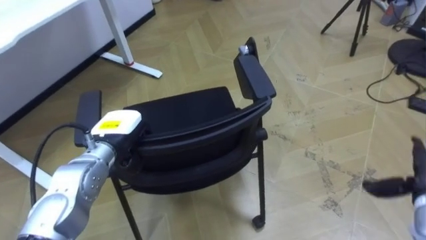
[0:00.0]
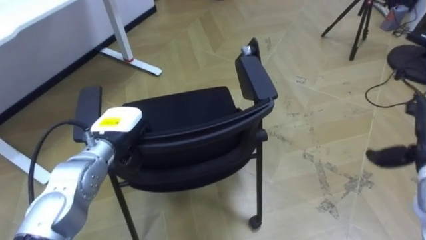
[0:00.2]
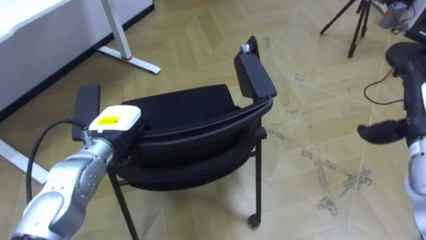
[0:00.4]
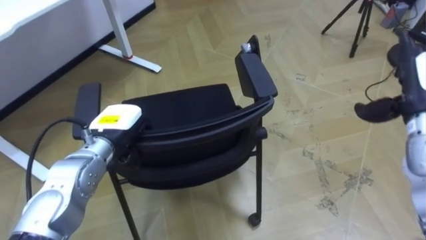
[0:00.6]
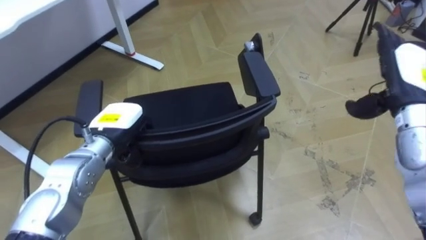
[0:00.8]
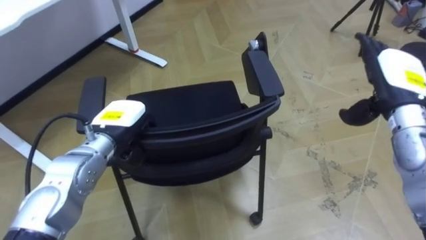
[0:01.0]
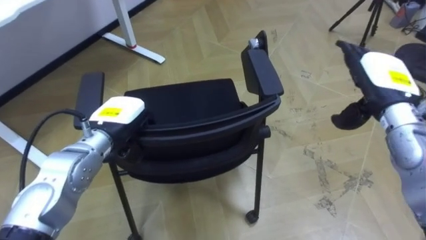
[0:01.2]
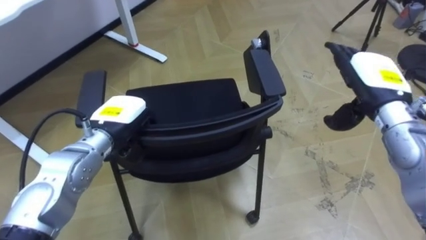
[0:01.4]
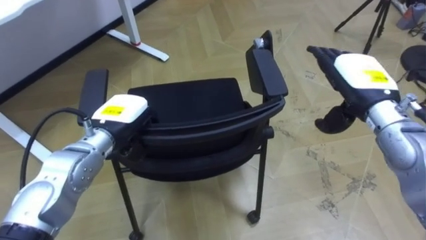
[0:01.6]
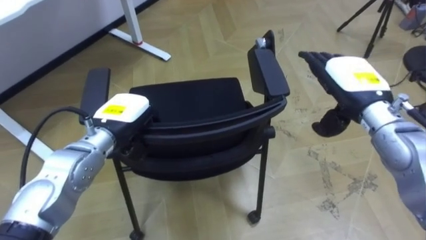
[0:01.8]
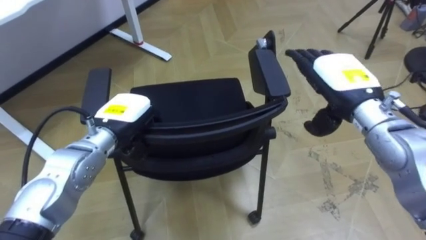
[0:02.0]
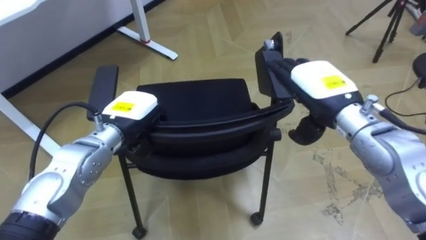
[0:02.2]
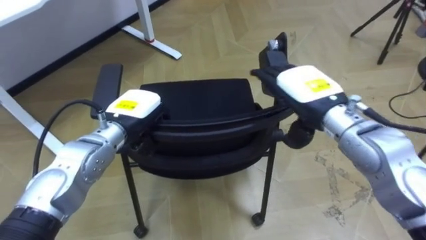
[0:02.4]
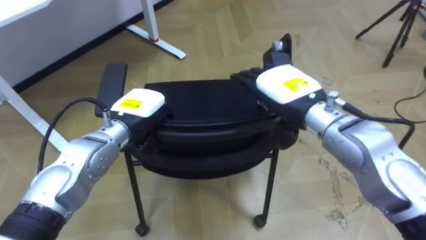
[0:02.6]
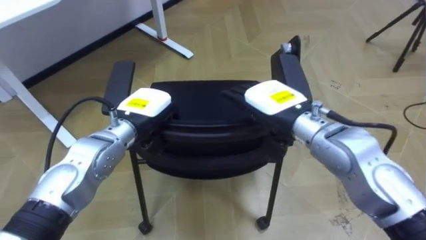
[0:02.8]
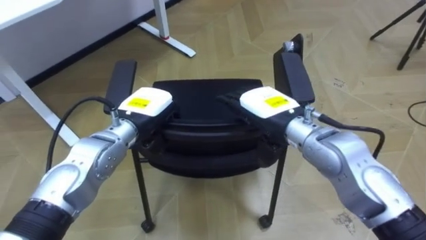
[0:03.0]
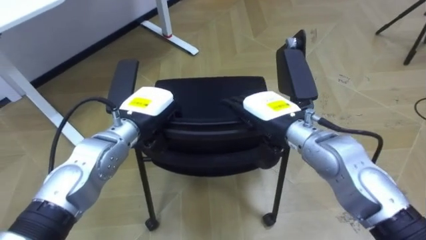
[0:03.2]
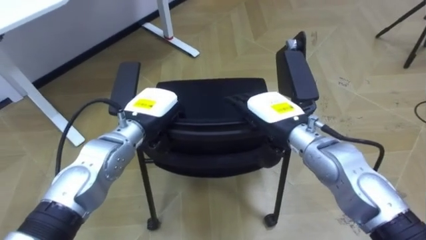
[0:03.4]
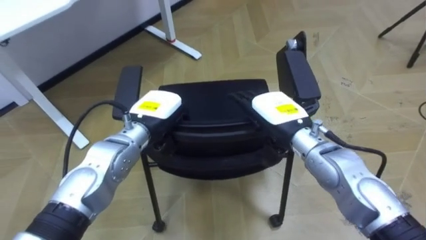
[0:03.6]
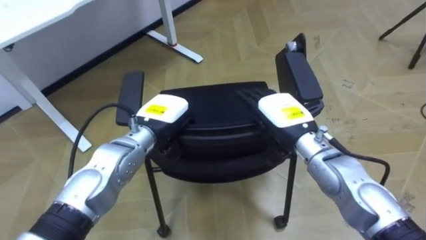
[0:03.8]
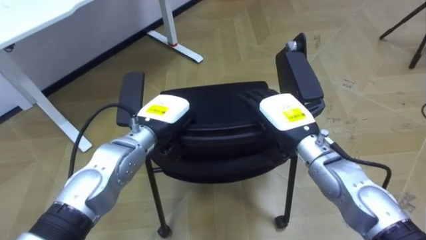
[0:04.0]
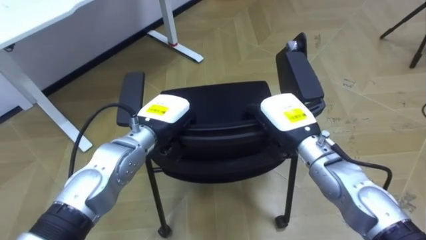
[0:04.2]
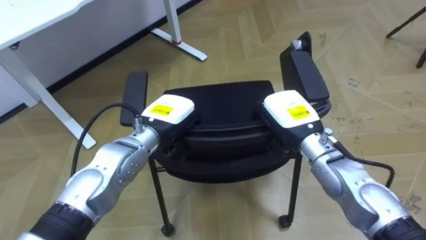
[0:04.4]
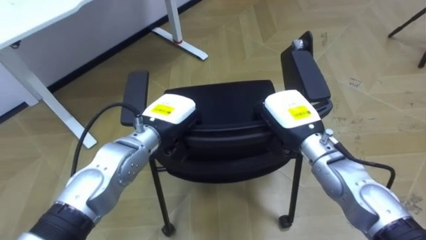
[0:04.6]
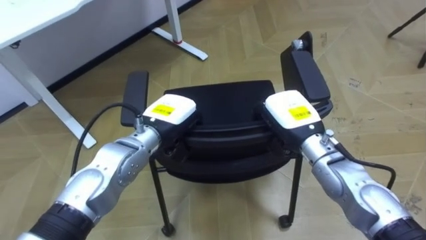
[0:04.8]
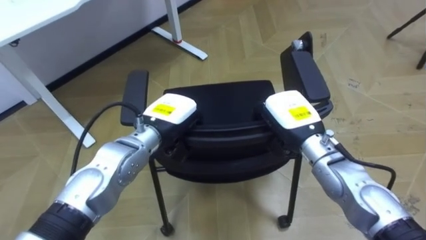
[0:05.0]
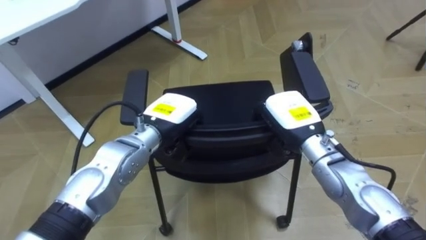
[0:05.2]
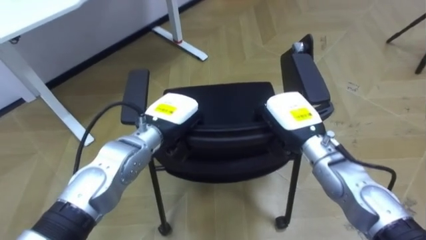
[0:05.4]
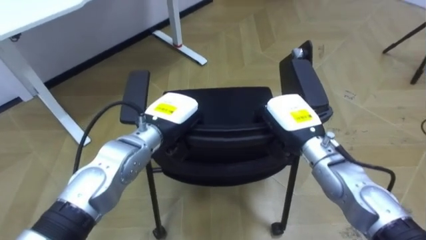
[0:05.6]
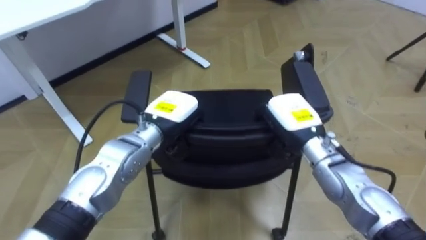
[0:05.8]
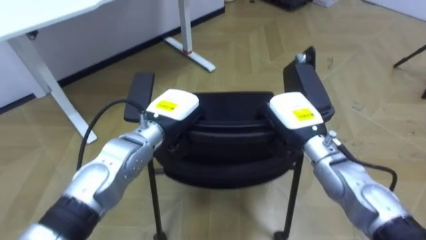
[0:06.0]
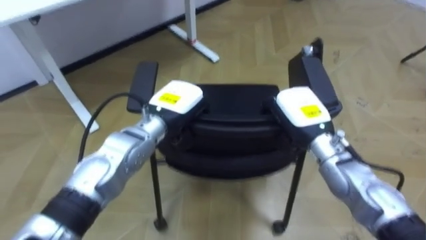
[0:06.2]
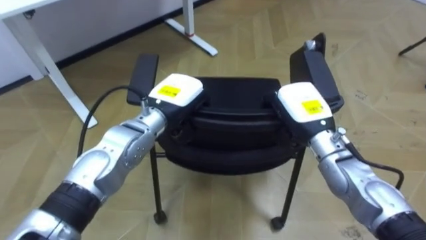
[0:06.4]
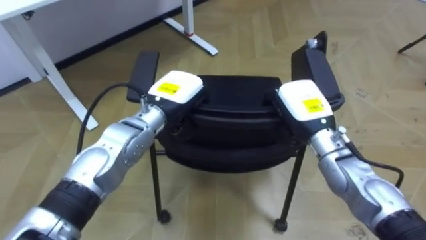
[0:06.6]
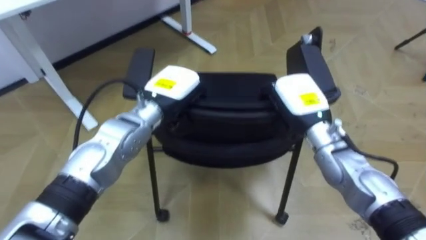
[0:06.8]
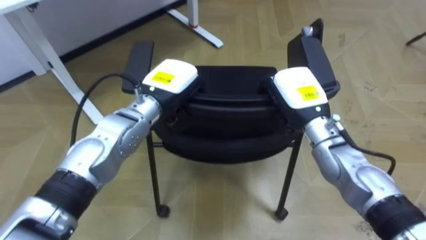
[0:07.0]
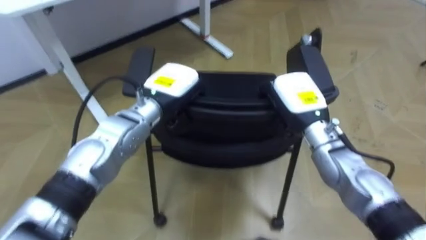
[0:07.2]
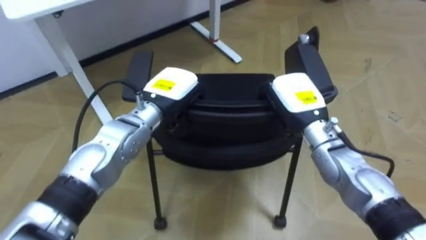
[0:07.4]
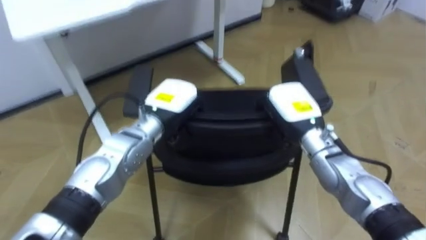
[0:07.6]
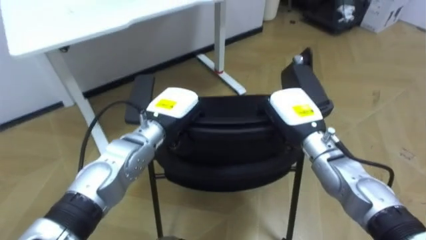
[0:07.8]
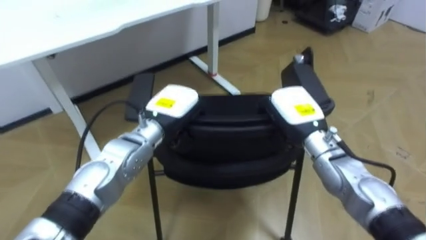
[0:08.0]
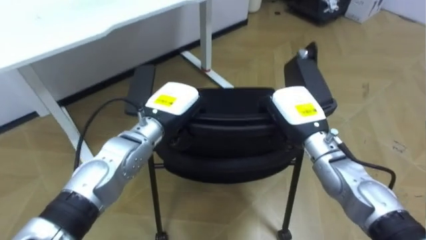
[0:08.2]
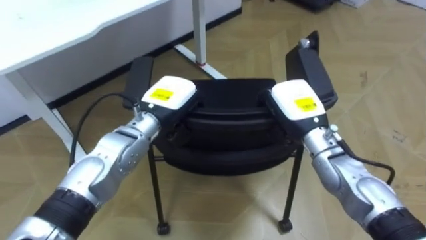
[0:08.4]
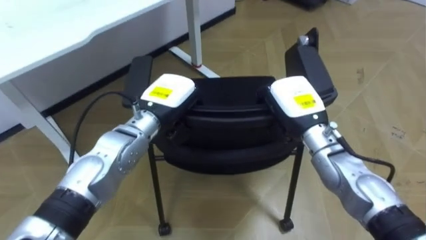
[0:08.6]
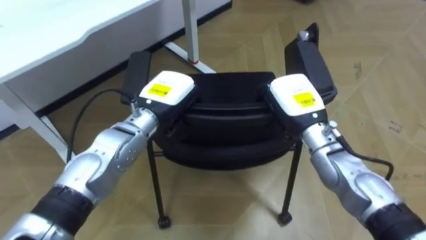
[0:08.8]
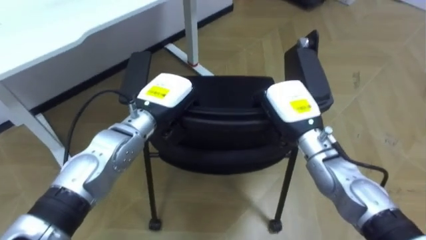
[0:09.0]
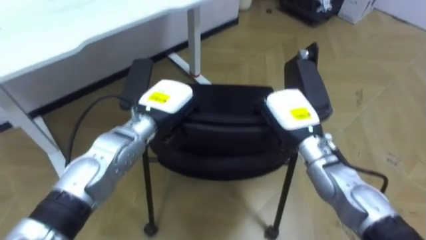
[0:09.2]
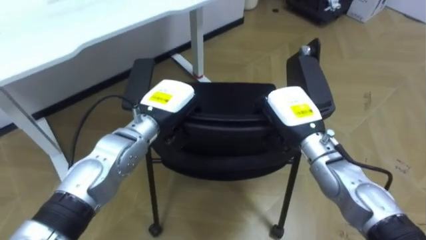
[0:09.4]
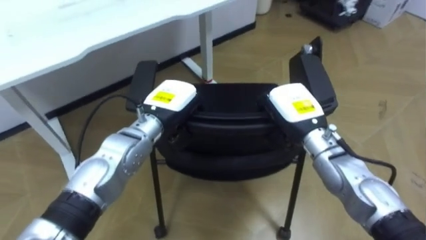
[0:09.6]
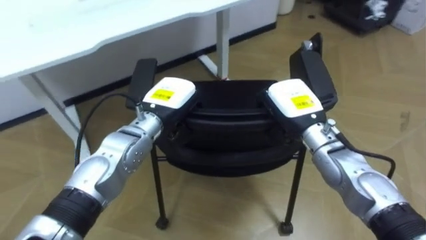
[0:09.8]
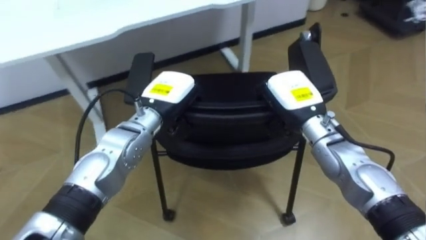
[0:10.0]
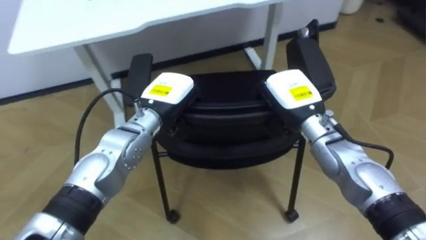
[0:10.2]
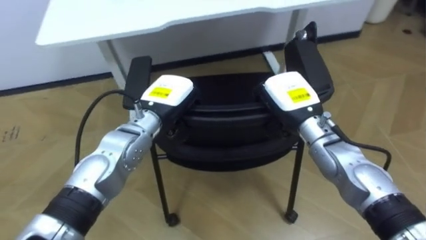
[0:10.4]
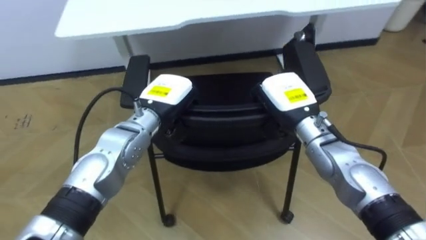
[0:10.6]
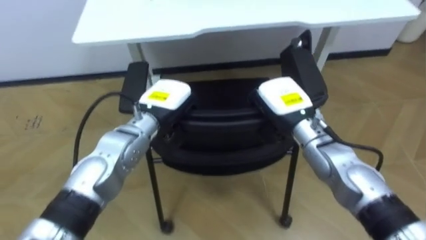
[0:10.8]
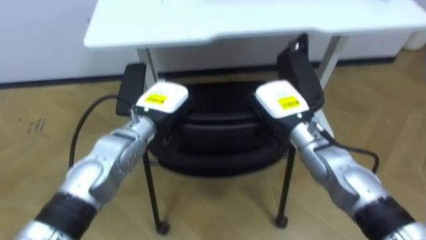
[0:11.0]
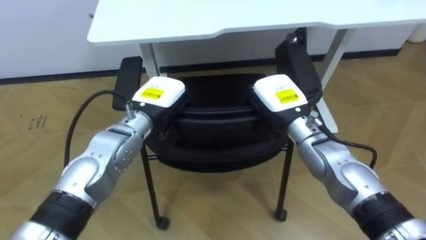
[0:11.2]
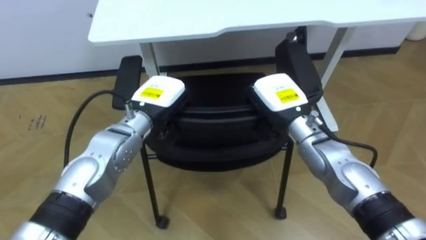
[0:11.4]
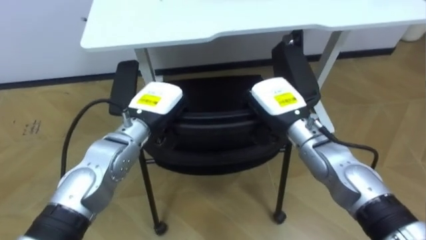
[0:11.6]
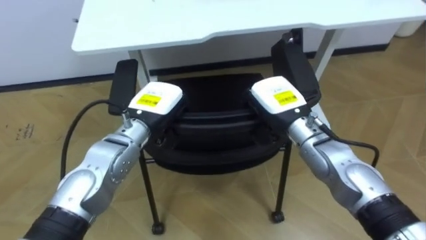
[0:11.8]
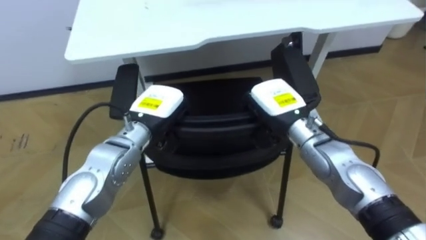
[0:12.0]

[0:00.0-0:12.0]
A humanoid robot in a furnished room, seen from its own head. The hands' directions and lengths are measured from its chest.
Task of the whole recording: Push the chair under the table.
0:01.6 to 0:03.0: The right hand travels to the left by roughly 15 cm.
0:03.0 to 0:04.4: The right hand shifts by some 5 cm, and closes its fingers.
0:09.0 to 0:10.4: The robot rotates roughly 30 degrees to its left.

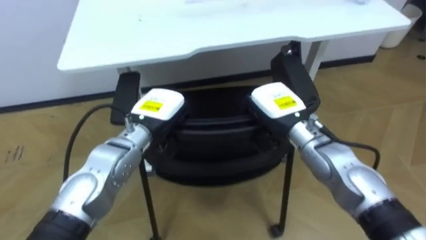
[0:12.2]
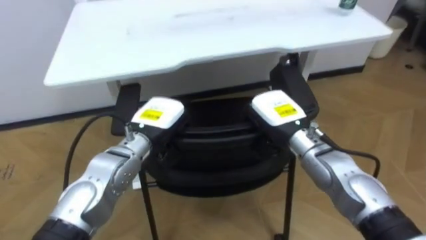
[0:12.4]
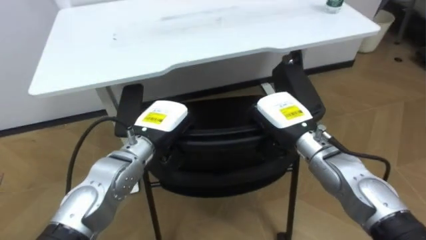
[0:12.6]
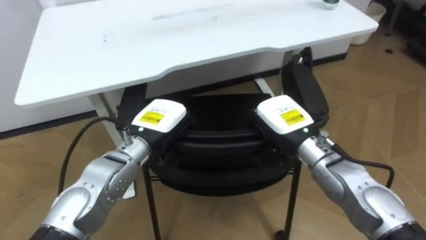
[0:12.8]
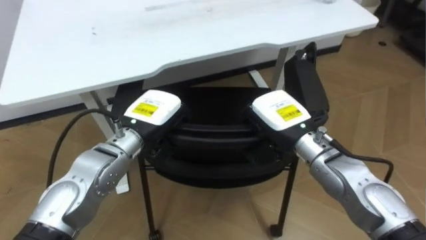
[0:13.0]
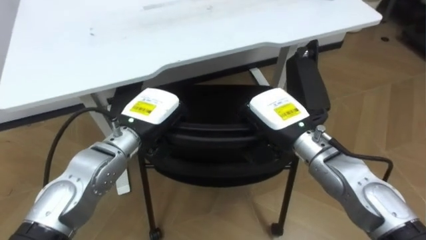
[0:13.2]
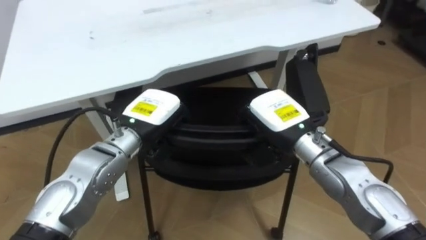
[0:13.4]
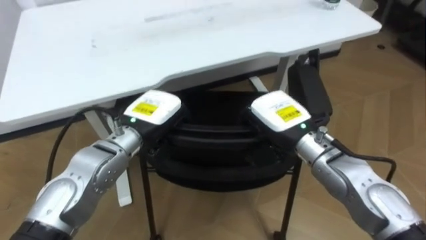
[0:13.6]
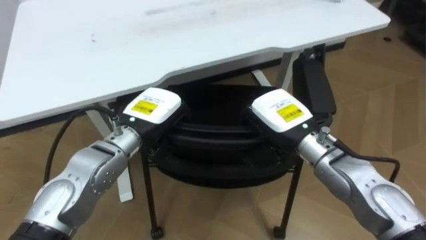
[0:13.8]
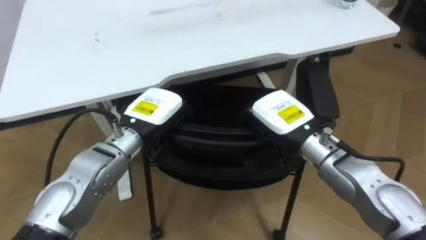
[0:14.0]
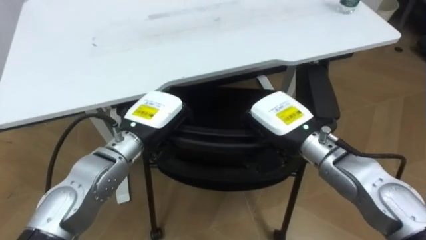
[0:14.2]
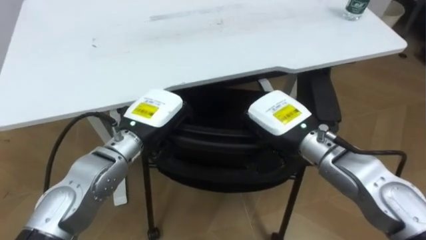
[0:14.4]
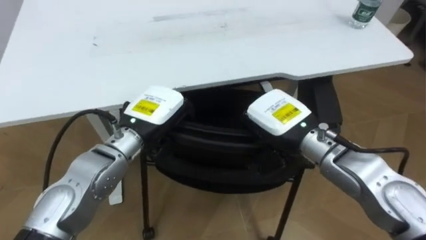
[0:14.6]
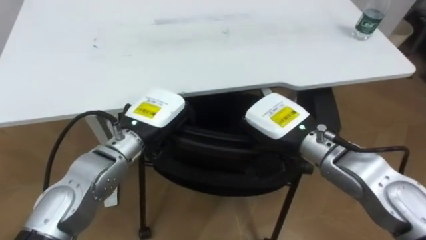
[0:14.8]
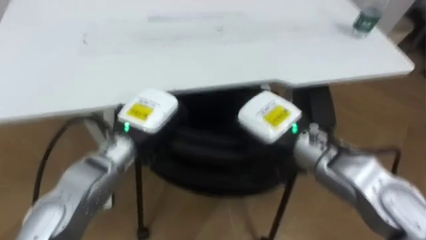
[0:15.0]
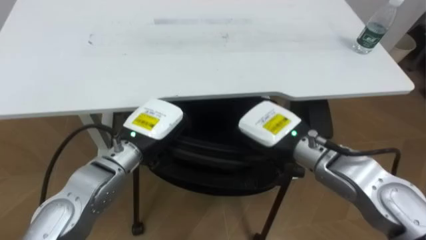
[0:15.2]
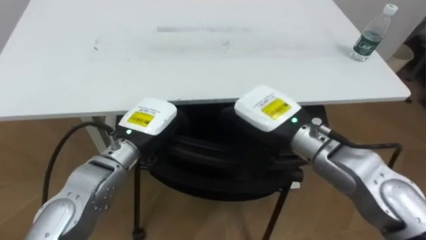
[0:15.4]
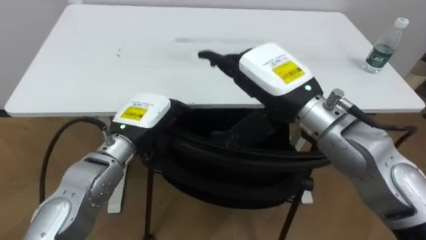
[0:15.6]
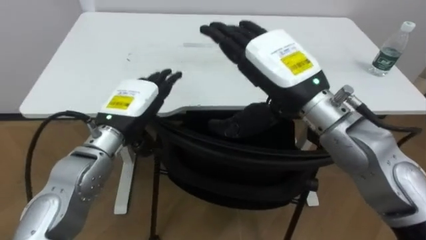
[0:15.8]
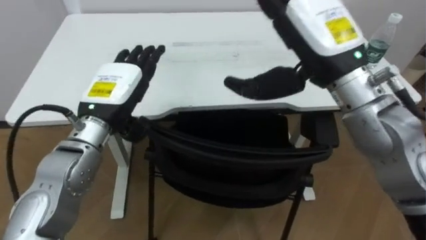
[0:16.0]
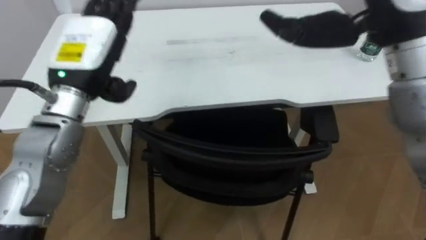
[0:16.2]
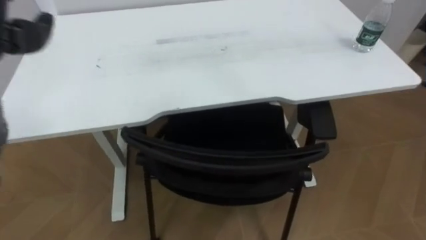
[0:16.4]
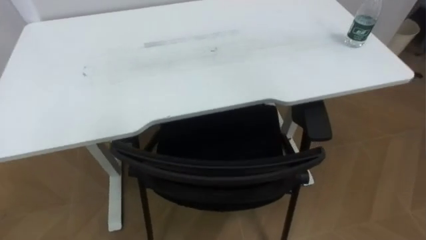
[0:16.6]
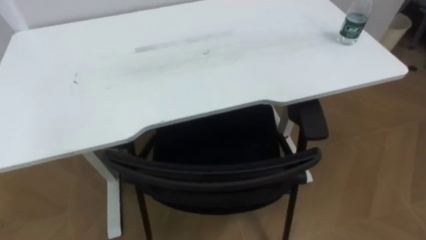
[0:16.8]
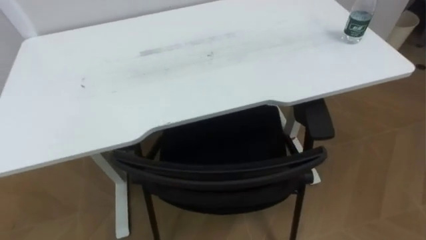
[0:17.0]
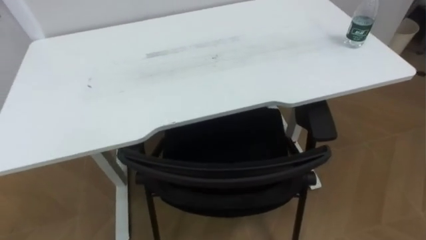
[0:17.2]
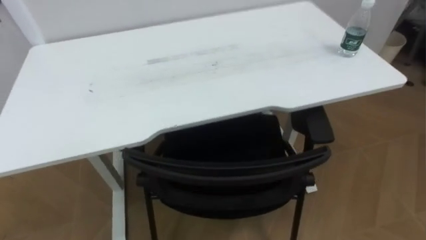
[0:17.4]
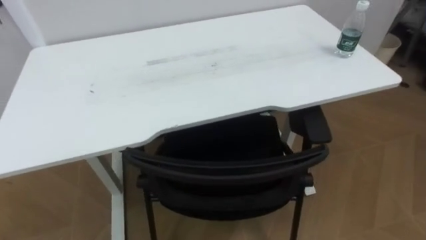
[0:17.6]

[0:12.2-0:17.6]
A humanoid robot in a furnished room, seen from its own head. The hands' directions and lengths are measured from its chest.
Task of the whole recording: Push the chair under the table.
0:15.0 to 0:16.2: The left hand shifts about 15 cm upward and to the left, and opens its fingers.
